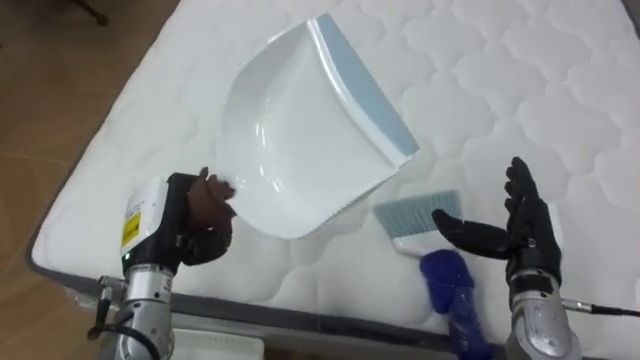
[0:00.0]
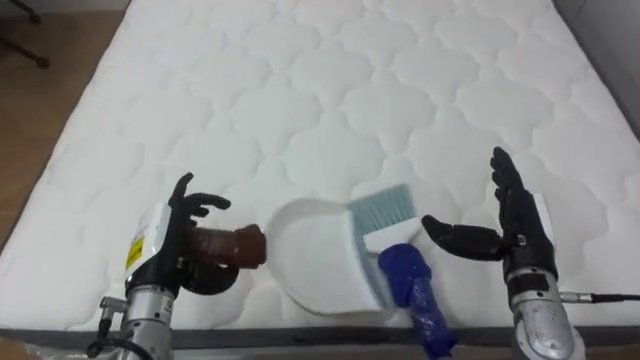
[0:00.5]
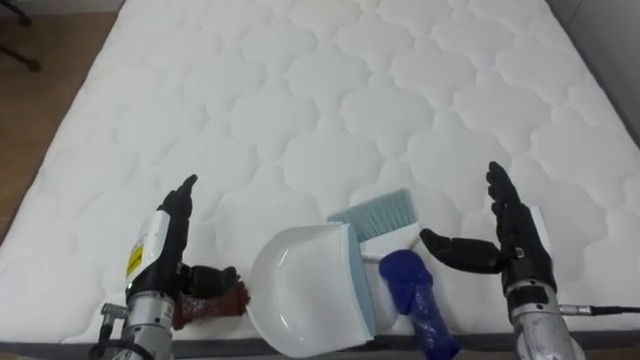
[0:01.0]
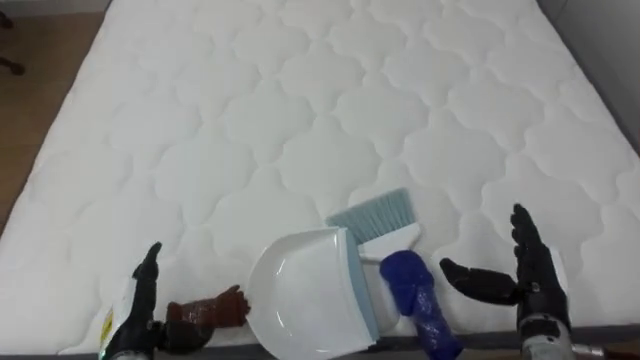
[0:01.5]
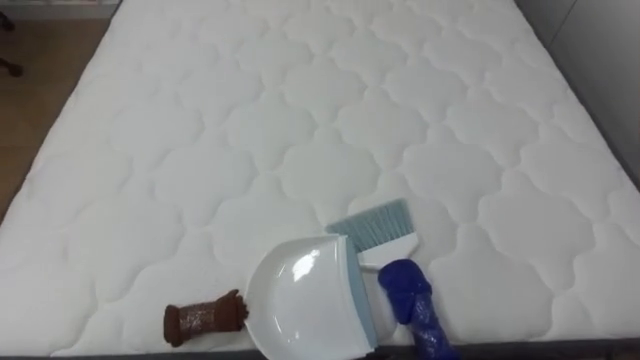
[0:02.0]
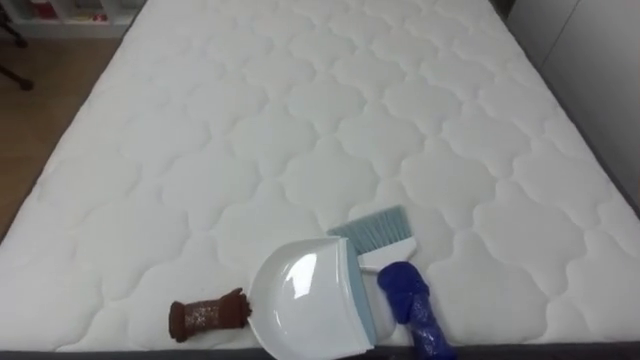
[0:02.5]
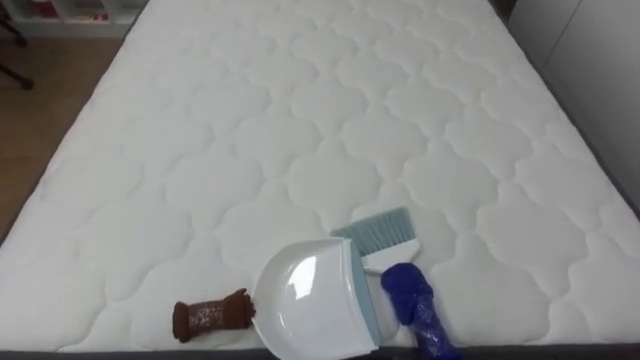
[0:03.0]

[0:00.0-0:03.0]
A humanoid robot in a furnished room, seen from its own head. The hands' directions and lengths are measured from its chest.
Task of the whole recording: Pick up the brush on your right and the dustpan on your left. Use the brush to sweep the crumpled paper on the bed into the dustpan, then turn left and empty it into the basket.
0:00.0 to 0:01.5: The left hand is displaced downward and backward by roughly 15 cm, and opens its fingers; the right hand shifts by about 5 cm.

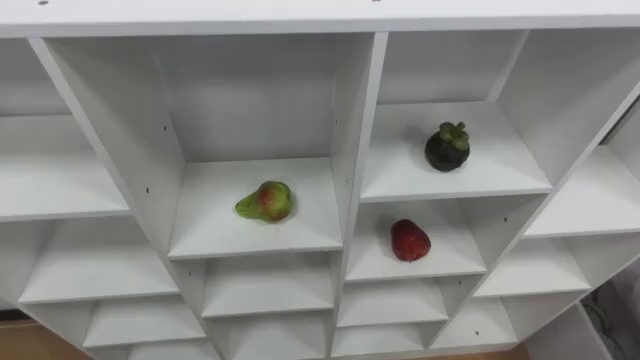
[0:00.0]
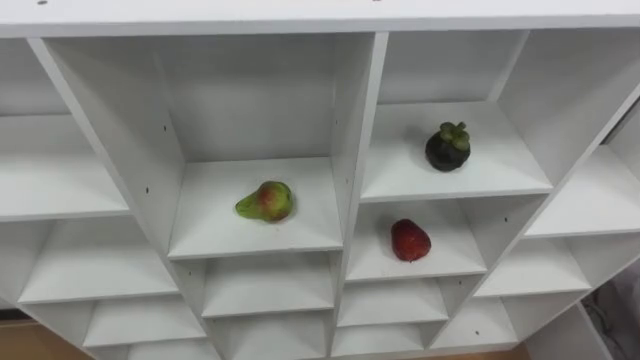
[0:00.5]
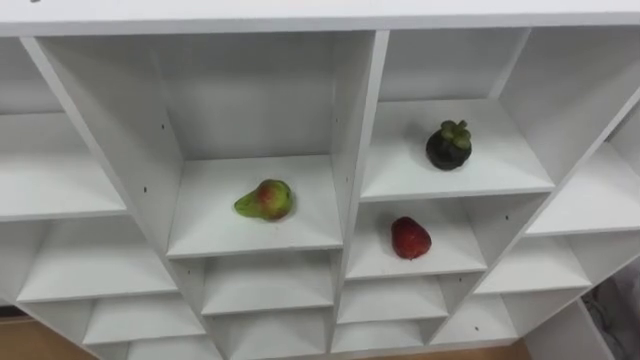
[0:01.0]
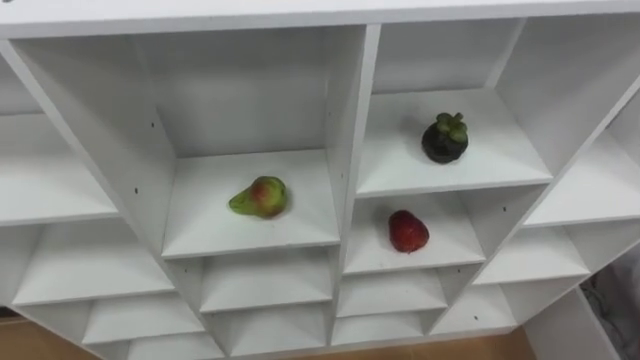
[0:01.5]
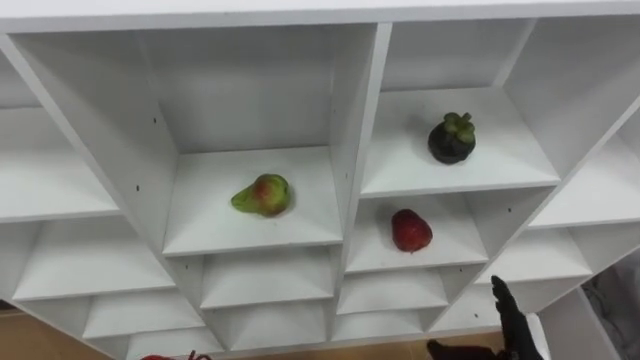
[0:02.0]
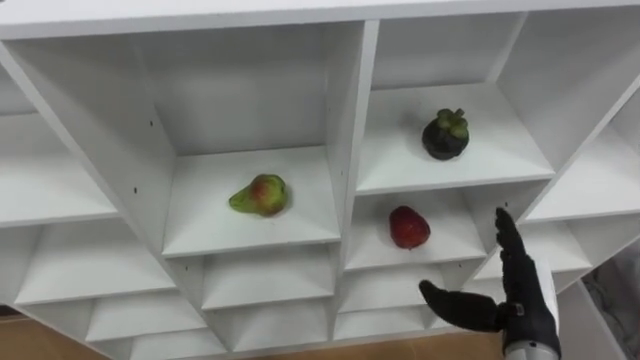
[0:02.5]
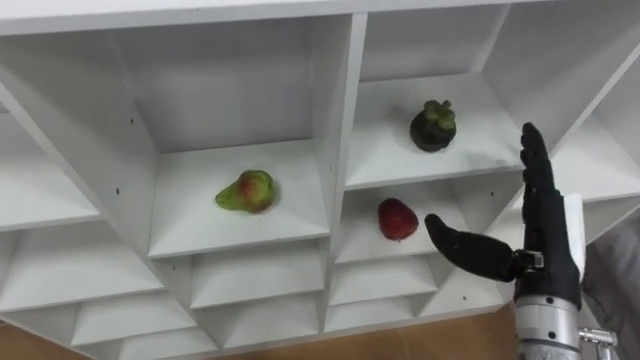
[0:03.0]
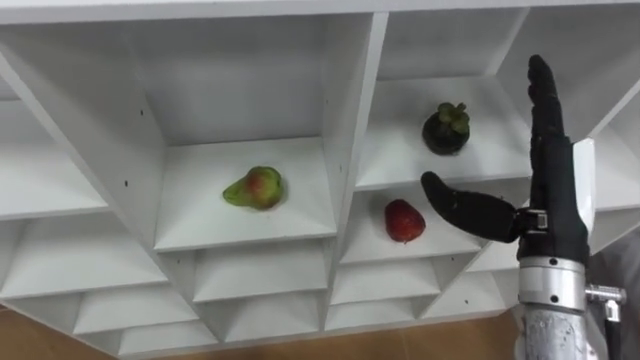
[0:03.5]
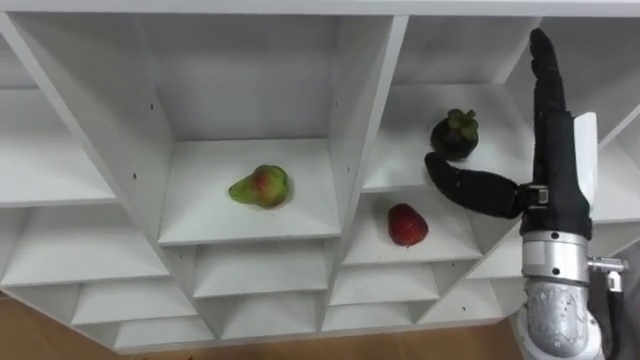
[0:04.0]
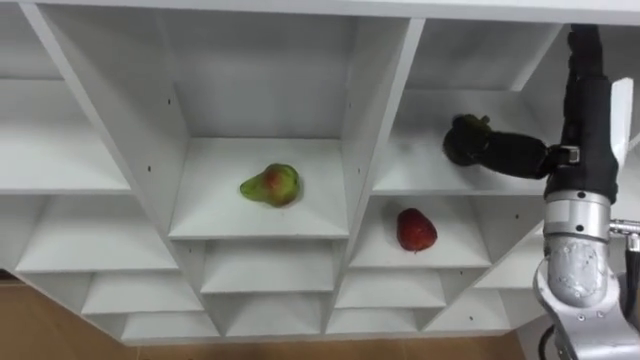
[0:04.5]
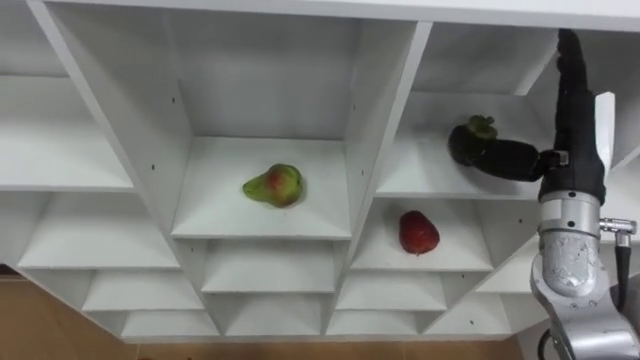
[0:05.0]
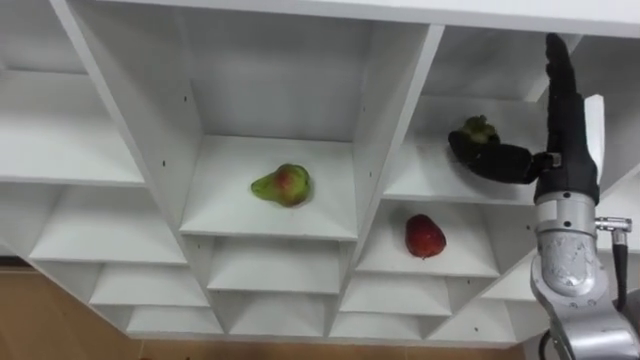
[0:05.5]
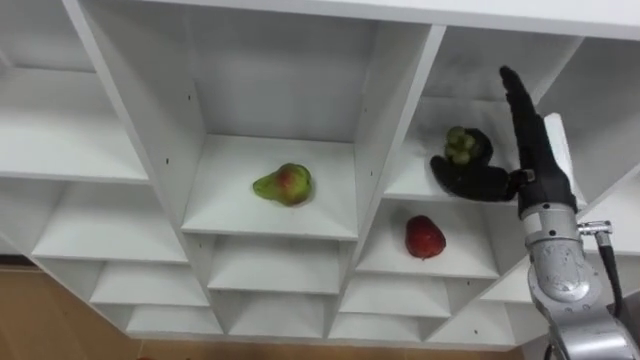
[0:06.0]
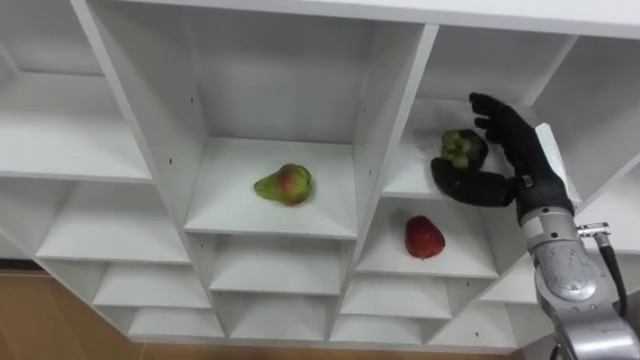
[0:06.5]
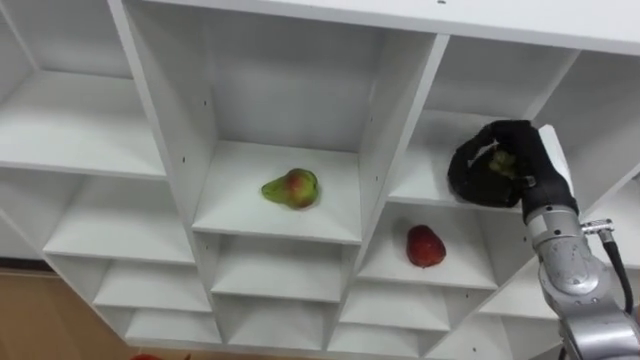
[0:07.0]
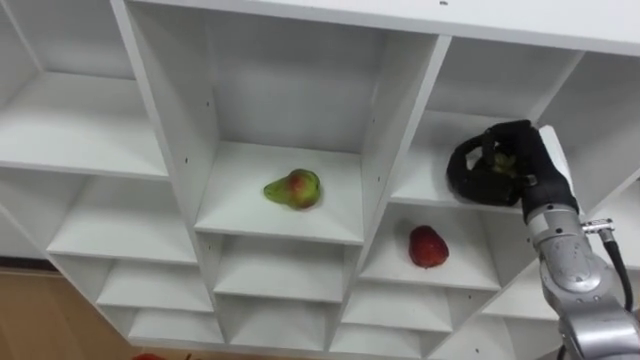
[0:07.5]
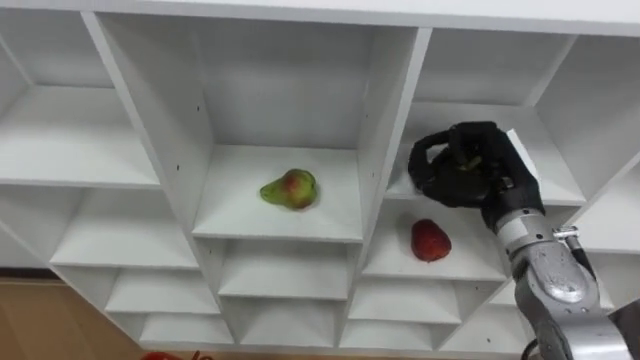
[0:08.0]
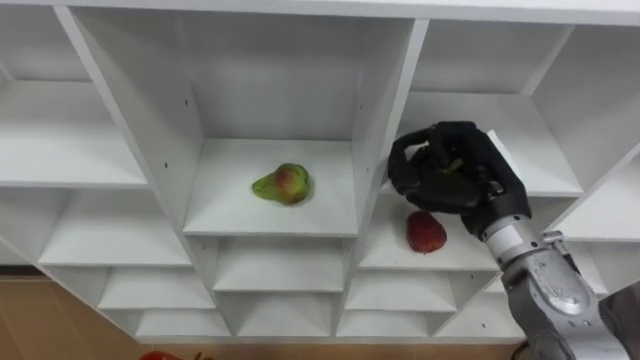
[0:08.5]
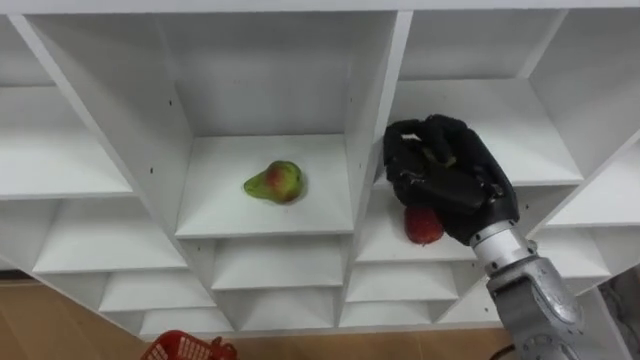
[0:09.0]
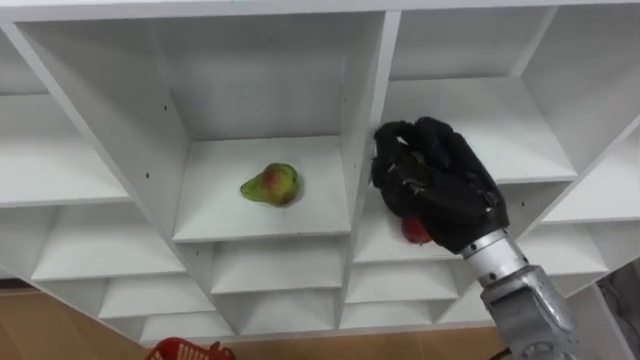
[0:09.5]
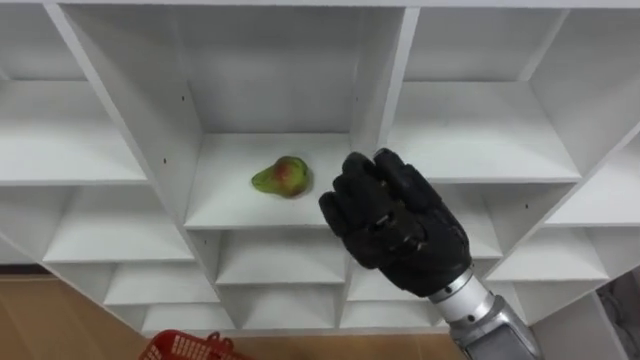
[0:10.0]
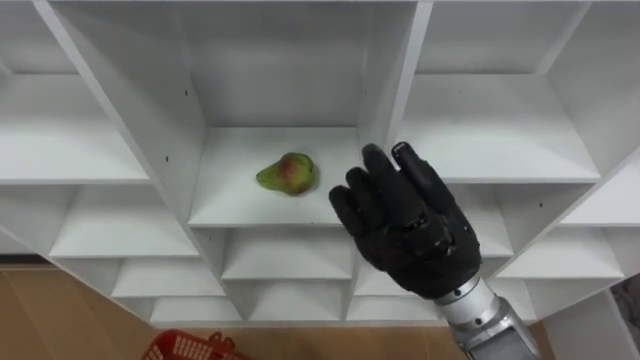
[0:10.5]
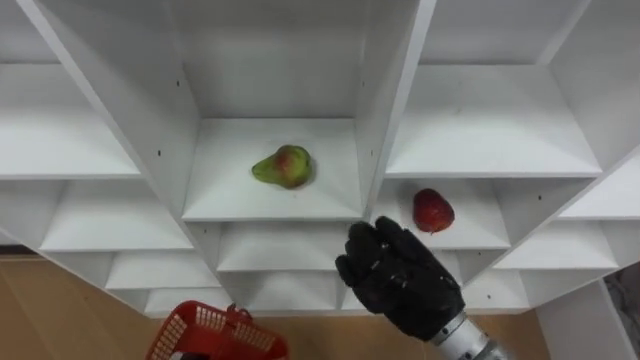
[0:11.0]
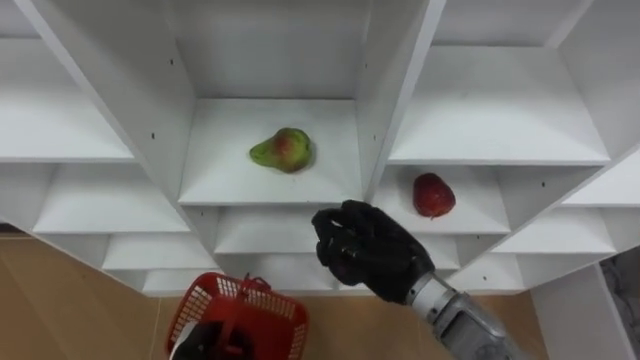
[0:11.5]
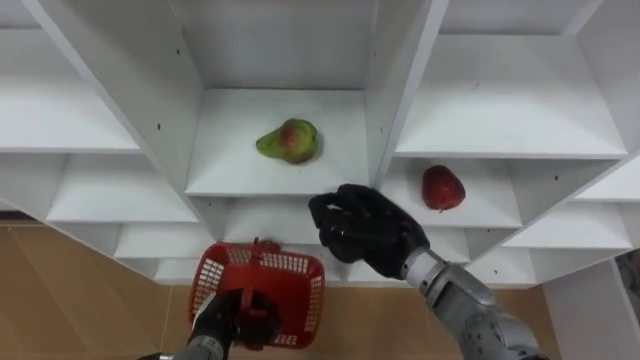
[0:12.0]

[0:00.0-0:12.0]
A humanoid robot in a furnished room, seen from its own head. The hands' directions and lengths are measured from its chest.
Task of the whole recording: Hold the basket and collect the fruits from 3 different cells of the closet into it.
0:02.0 to 0:04.0: The right hand heads upward and forward, covering about 25 cm.
0:04.0 to 0:06.0: The right hand heads downward and forward, covering about 10 cm.
0:06.0 to 0:08.0: The right hand closes up.
0:08.0 to 0:10.0: The right hand moves to the left and backward, some 15 cm.
0:10.0 to 0:12.0: The right hand moves downward and forward, some 15 cm.

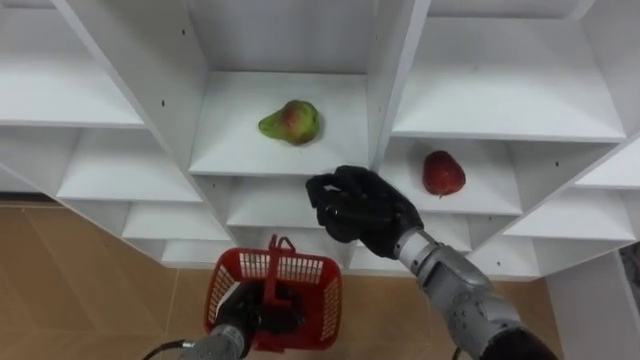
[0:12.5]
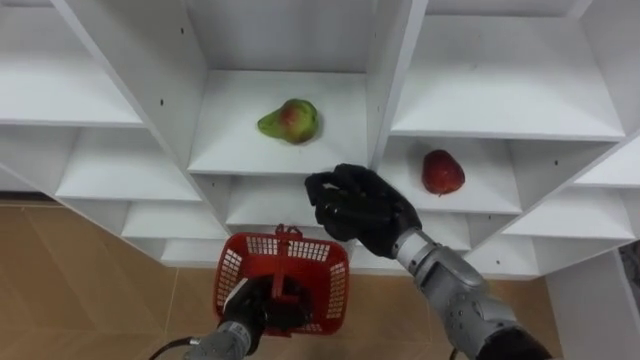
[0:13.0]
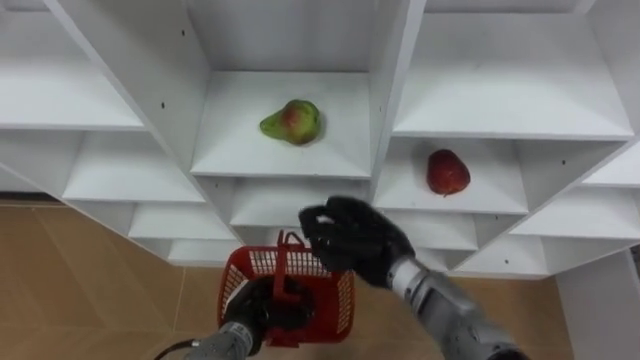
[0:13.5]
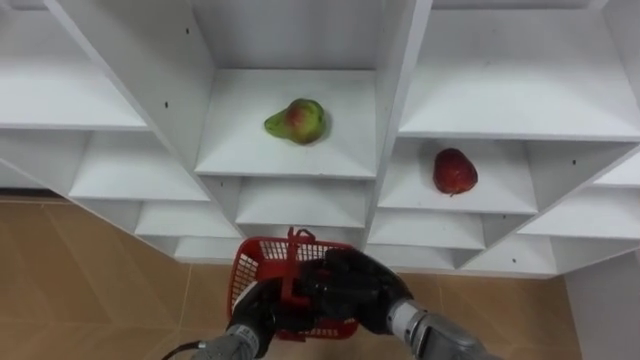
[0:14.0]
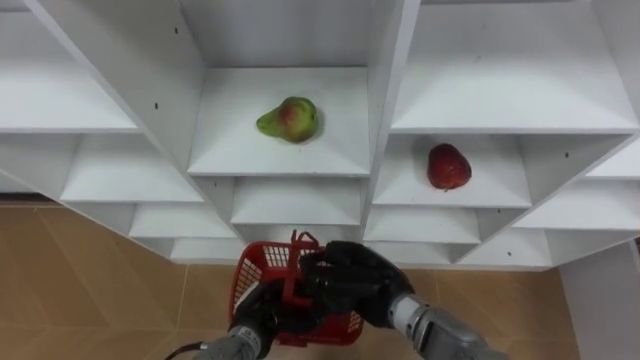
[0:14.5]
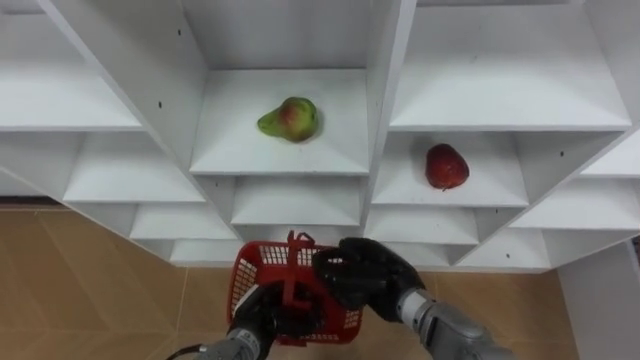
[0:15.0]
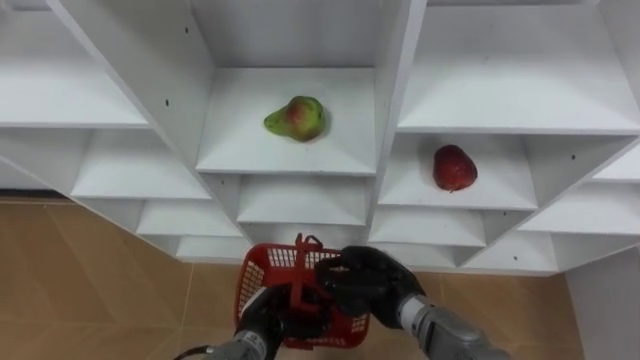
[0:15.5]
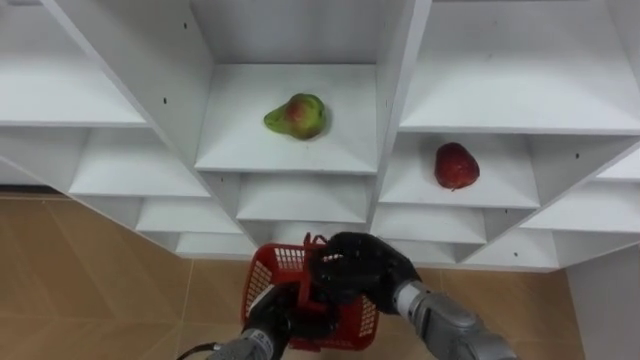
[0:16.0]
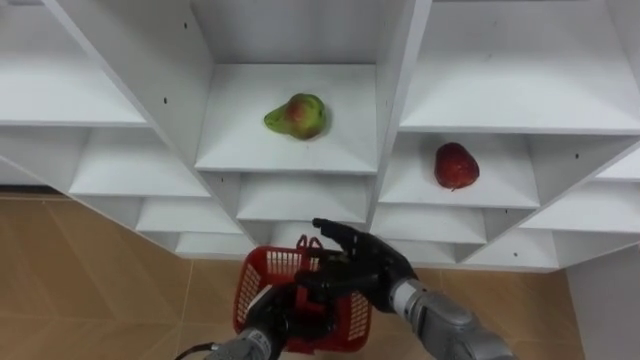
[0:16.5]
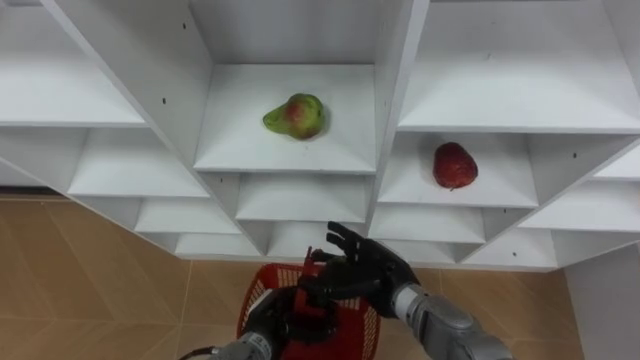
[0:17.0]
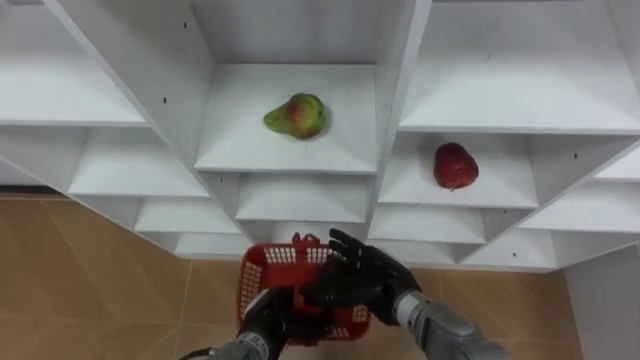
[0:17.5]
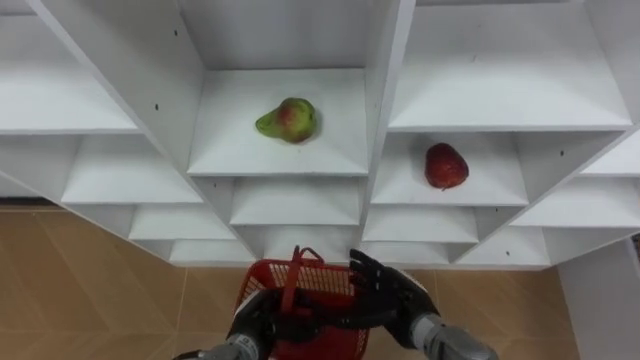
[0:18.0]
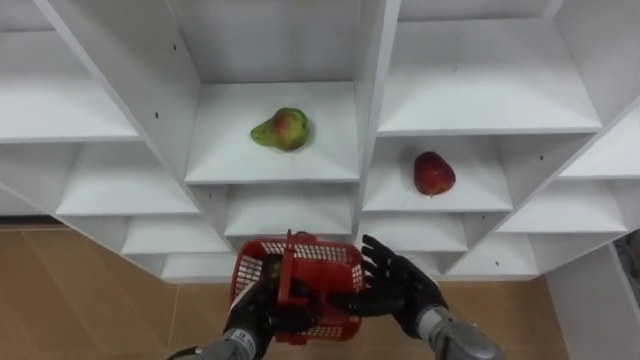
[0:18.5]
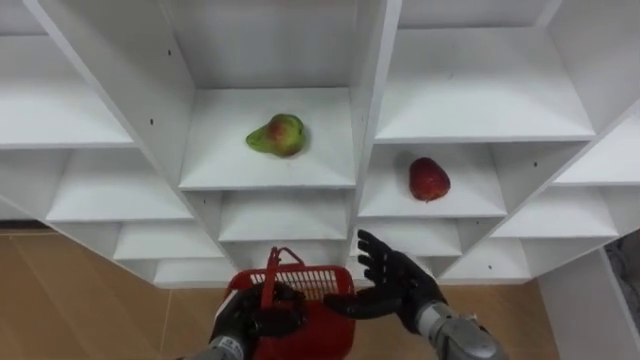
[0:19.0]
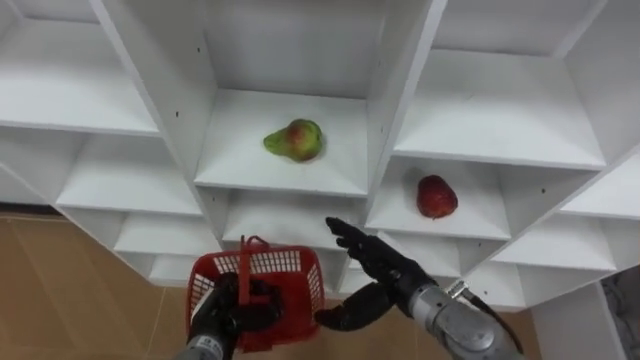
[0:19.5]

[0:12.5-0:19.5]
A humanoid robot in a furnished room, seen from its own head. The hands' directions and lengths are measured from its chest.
Task of the whole recording: Hold the basket and collect the fruits from 3 different cells of the closet into it.
0:12.5 to 0:14.5: The right hand is displaced downward and backward by some 10 cm.
0:14.5 to 0:16.0: The hands move only a little.
0:16.0 to 0:17.5: The right hand opens its fingers.
0:17.5 to 0:19.5: The left hand shifts approximately 10 cm to the left.
